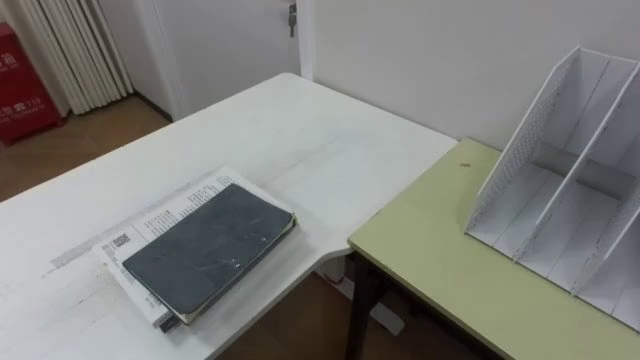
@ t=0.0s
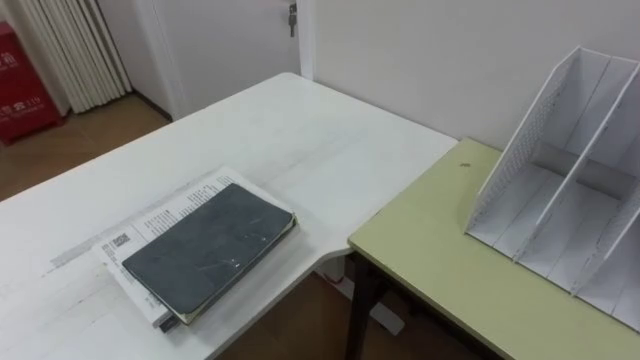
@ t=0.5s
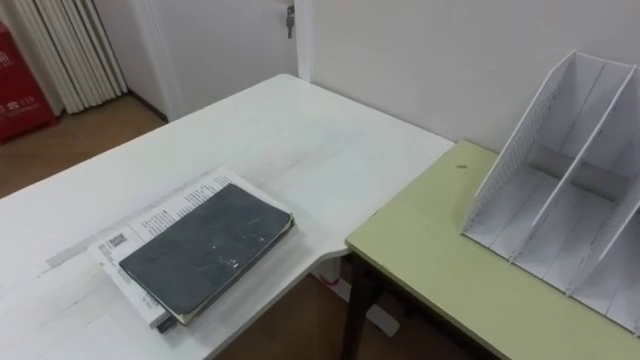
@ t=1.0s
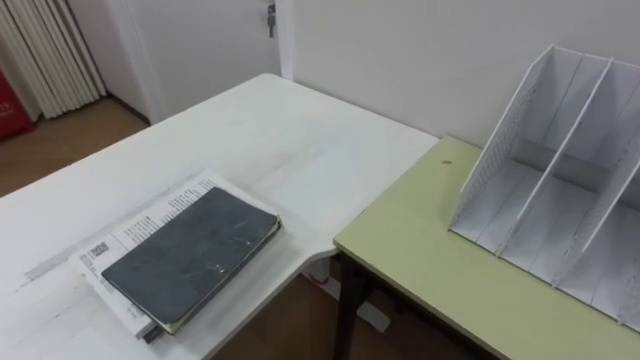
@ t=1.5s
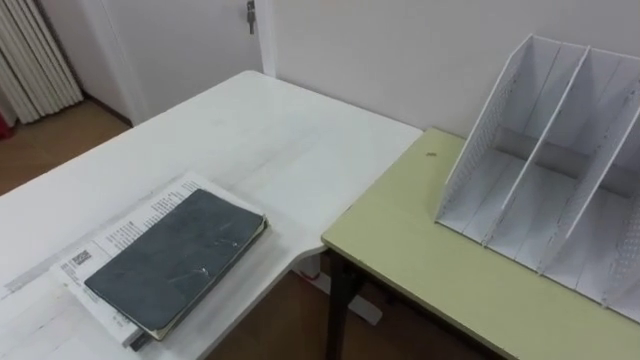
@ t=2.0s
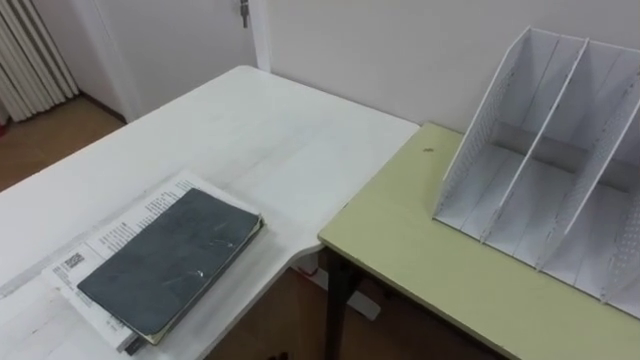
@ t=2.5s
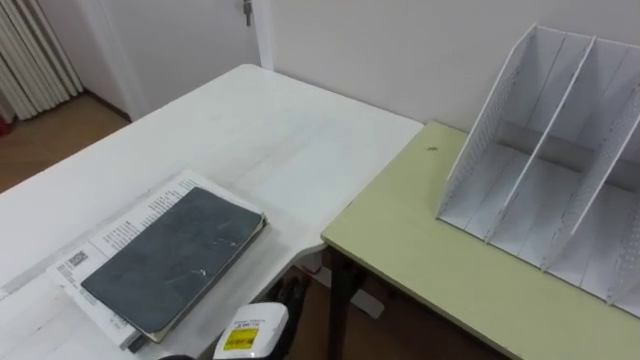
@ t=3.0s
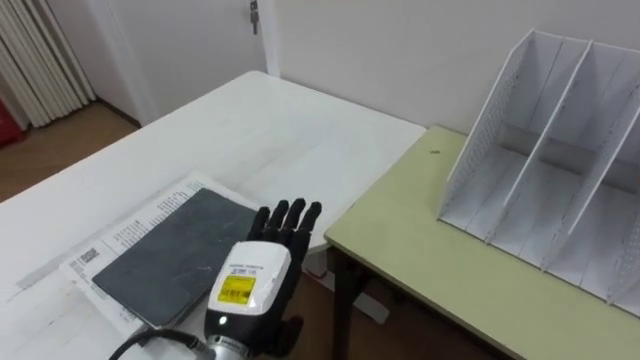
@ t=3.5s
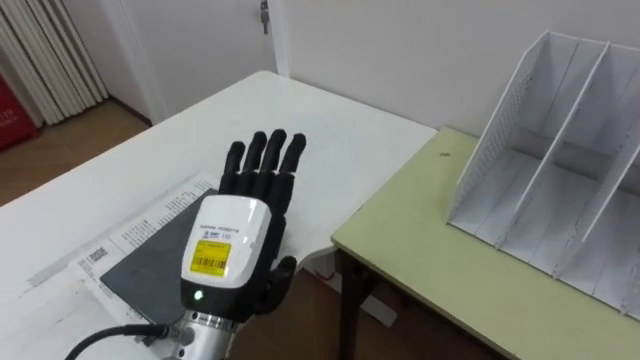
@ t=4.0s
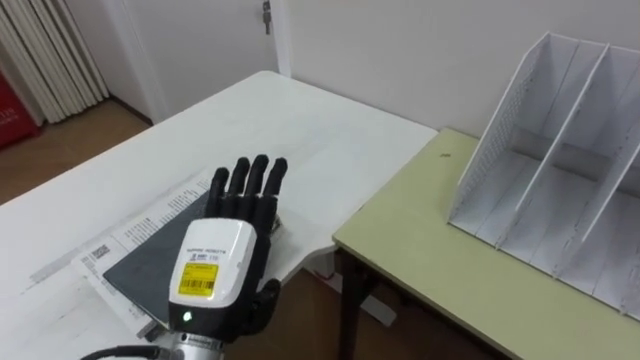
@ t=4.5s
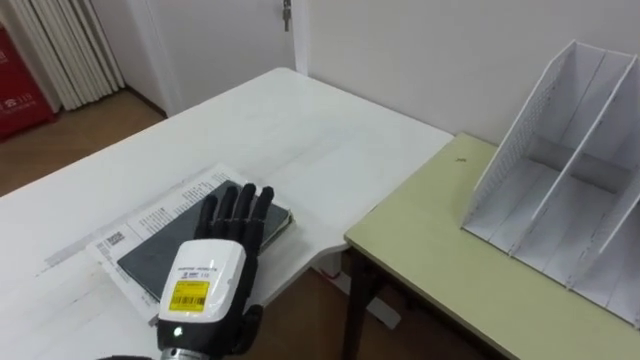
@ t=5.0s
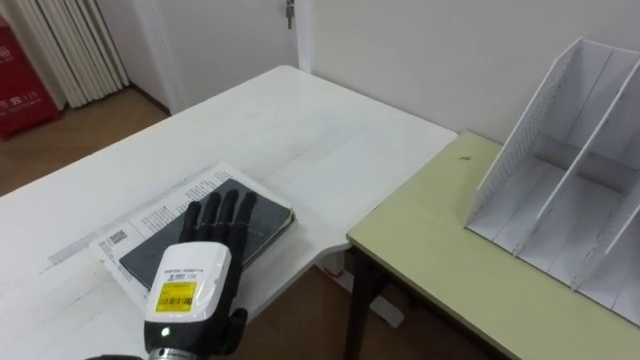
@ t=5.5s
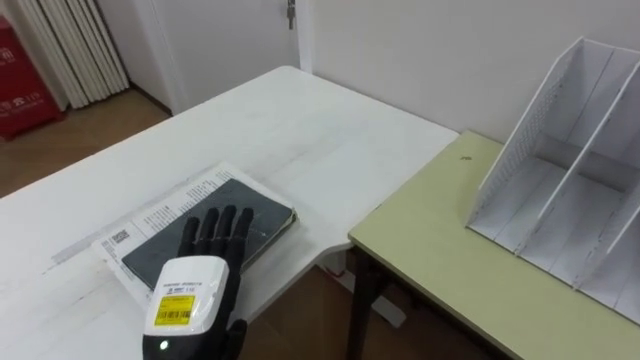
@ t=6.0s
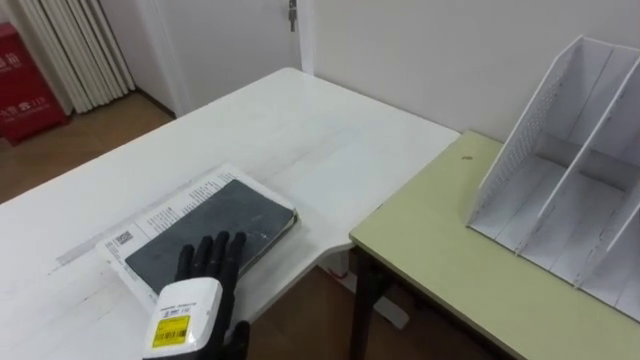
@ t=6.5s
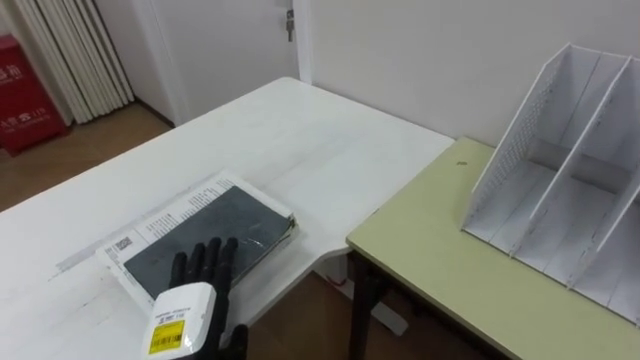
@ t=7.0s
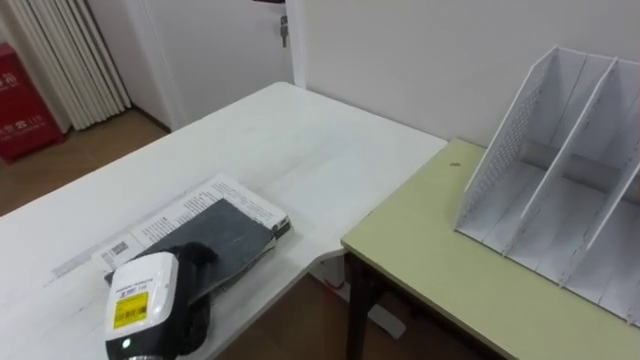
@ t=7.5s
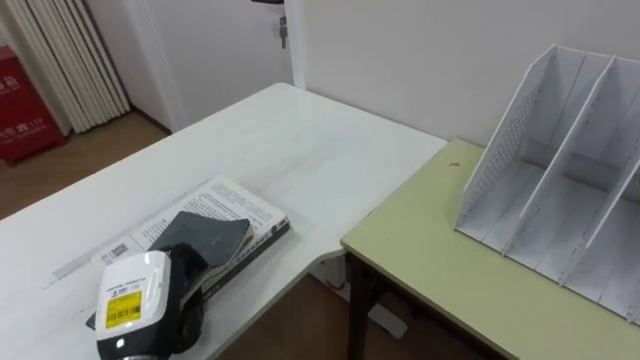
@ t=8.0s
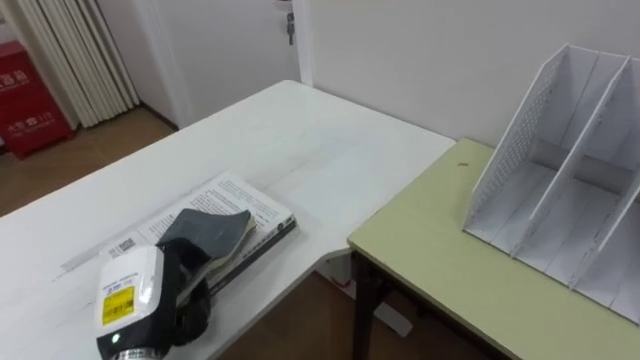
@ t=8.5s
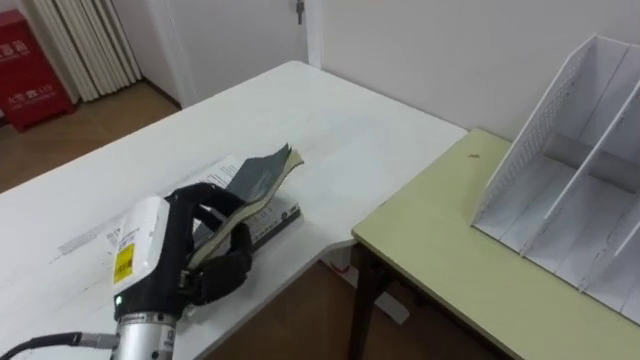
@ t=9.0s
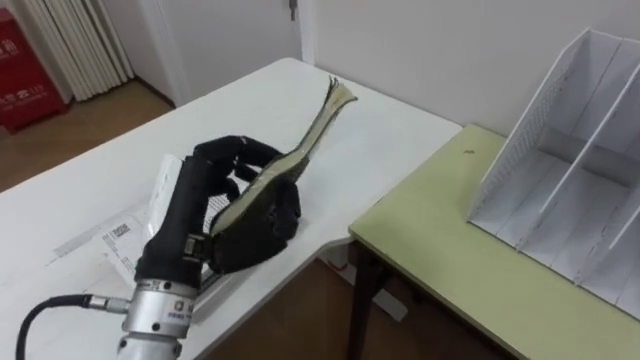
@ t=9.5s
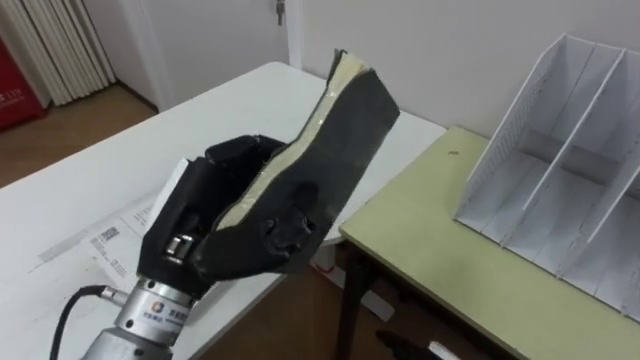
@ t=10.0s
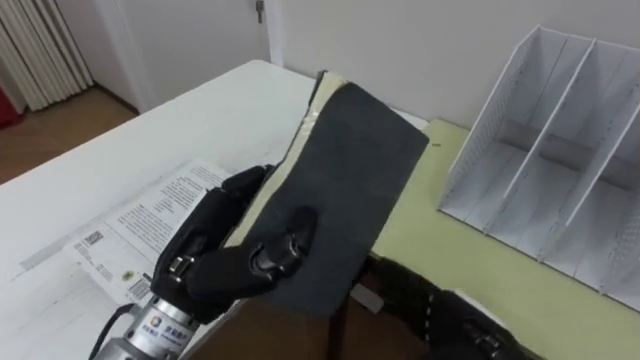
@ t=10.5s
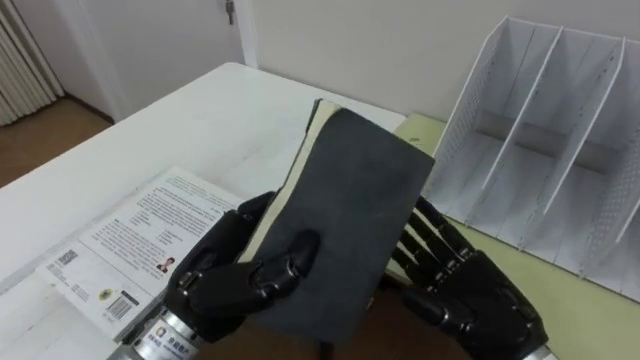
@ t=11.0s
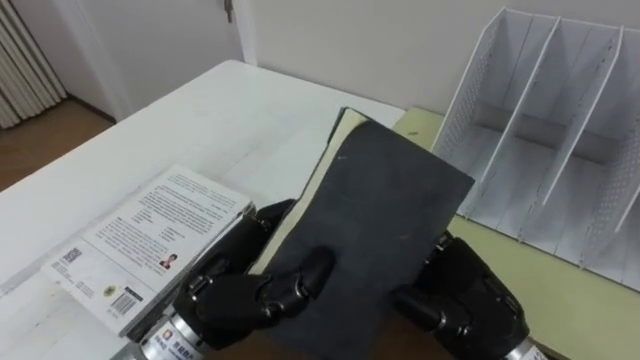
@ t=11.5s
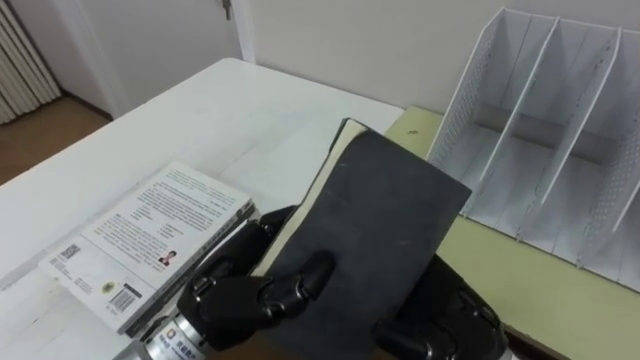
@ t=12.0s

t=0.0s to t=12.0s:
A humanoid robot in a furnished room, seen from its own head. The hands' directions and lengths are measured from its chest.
Task of the whole recording: Put the books on the table onto the bookshelf.
t=4.0s to t=6.0s: The left hand is displaced downward and to the left by approximately 10 cm.
t=6.0s to t=8.0s: The left hand moves to the left, approximately 5 cm, and closes up.
t=8.0s to t=10.0s: The left hand goes approximately 15 cm upward and to the right.
t=10.0s to t=12.0s: The left hand travels downward by approximately 5 cm.

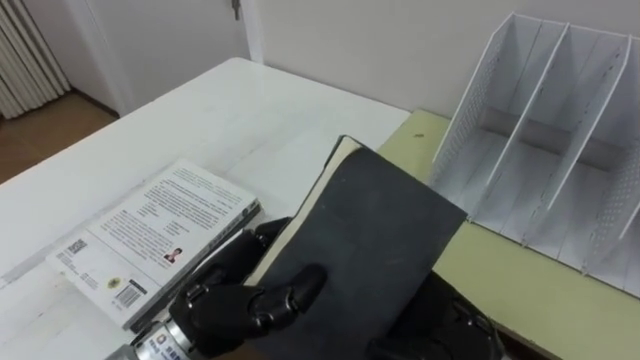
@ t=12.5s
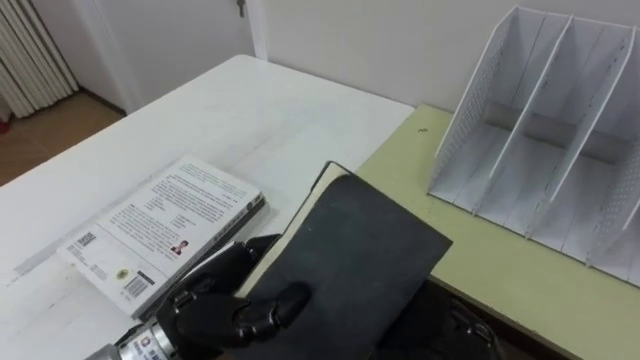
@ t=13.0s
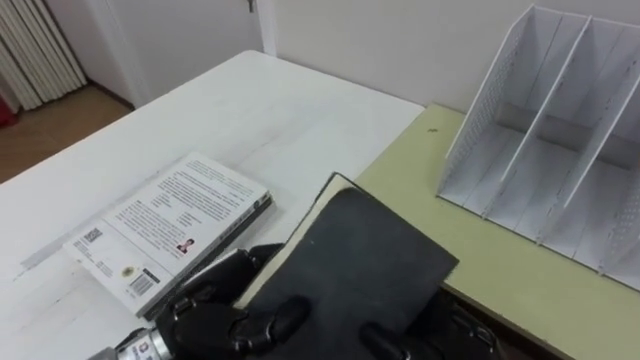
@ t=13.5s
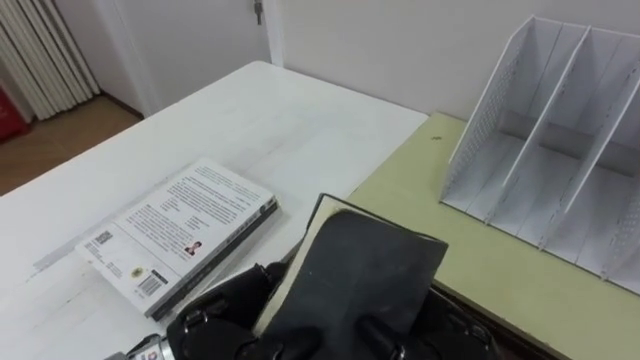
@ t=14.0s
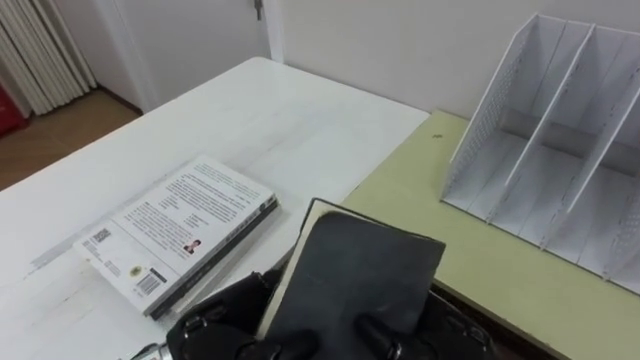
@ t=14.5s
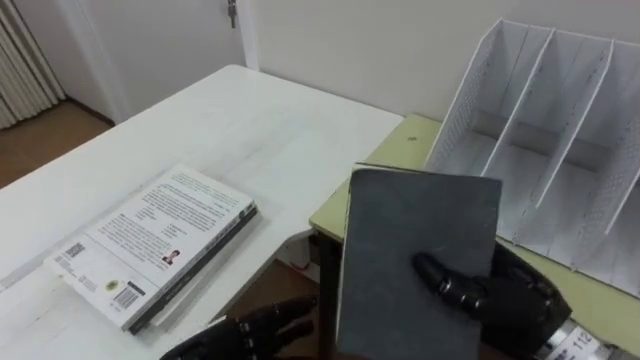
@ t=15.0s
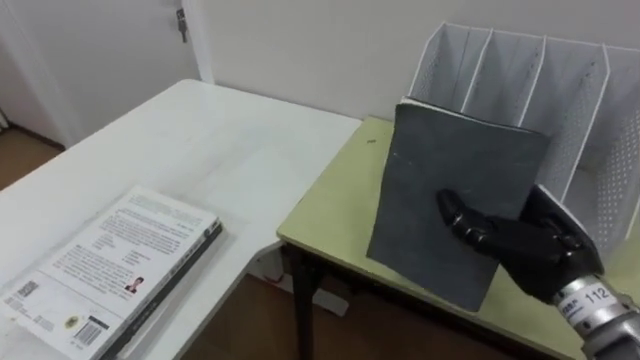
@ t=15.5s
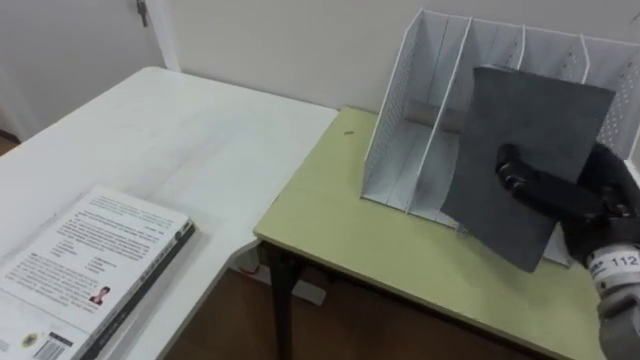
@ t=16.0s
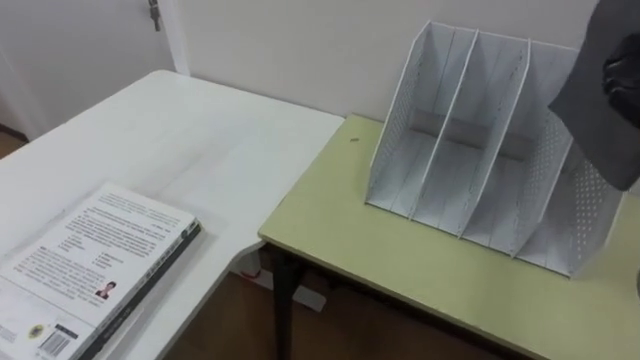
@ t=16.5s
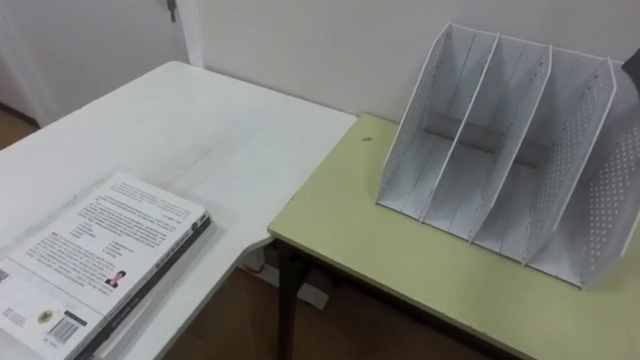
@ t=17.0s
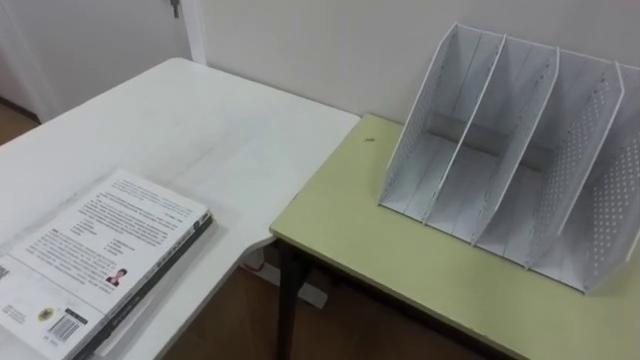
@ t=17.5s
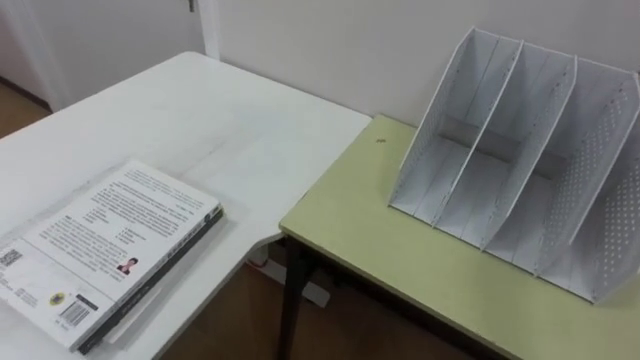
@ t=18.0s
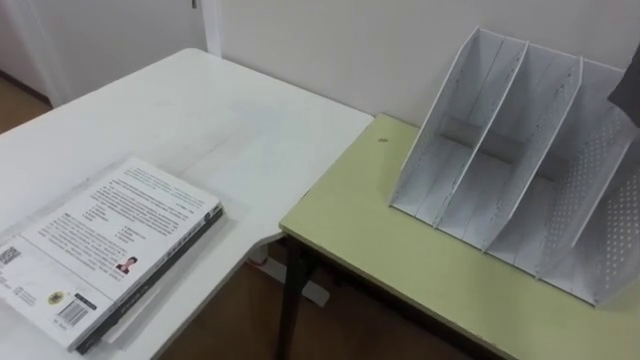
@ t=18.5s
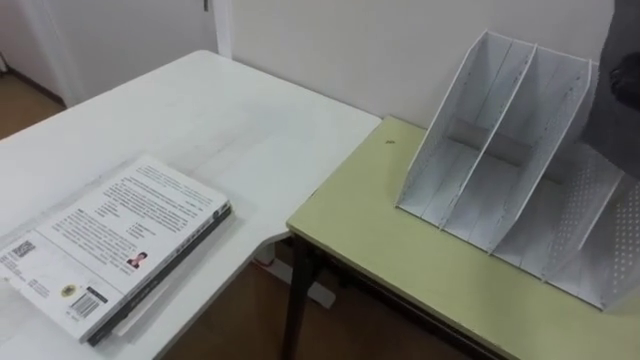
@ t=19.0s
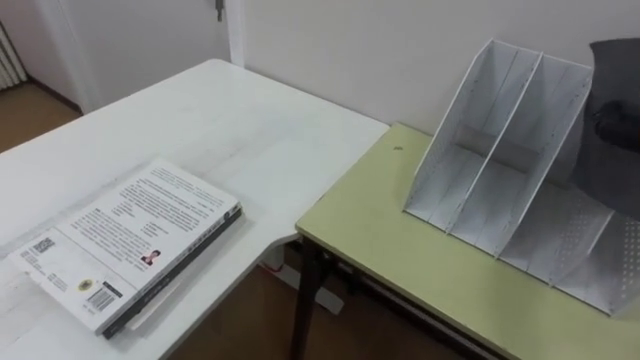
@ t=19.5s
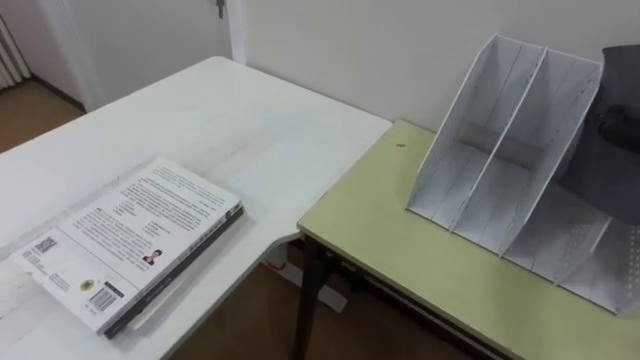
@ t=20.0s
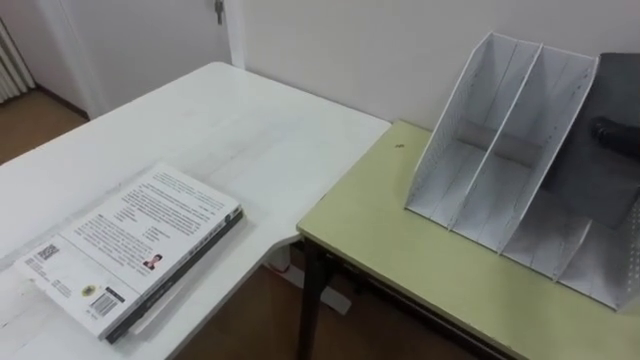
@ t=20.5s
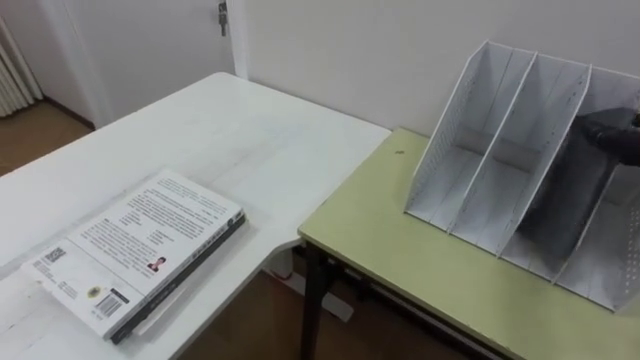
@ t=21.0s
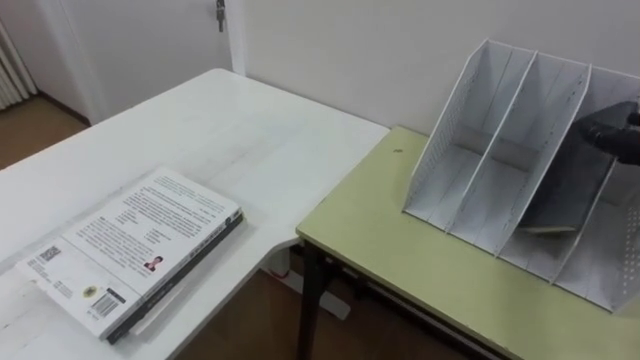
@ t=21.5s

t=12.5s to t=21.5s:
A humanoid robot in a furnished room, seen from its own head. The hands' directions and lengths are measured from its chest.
Task of the whole recording: Put the books on the table onto the bookshelf.
t=12.5s to t=14.5s: The right hand closes its fingers.
